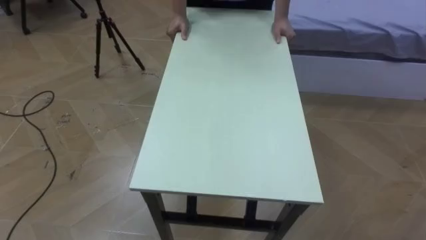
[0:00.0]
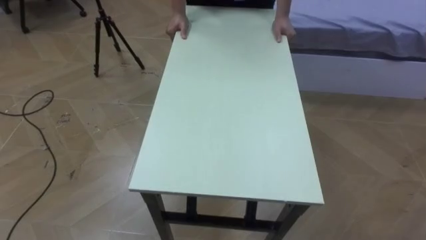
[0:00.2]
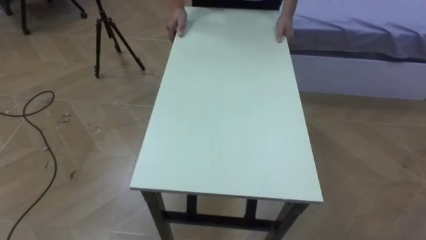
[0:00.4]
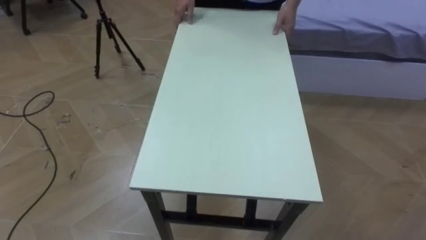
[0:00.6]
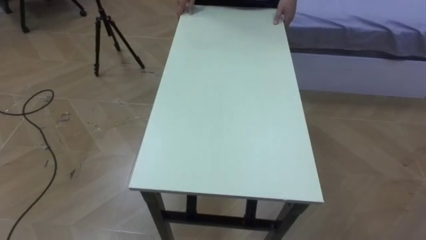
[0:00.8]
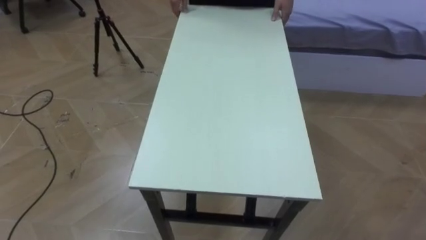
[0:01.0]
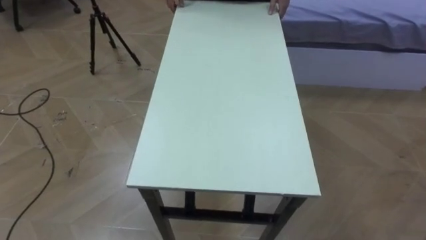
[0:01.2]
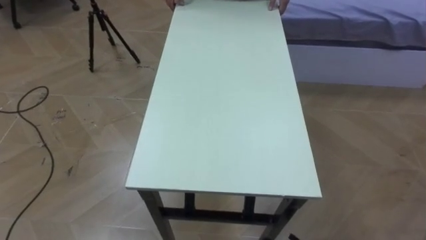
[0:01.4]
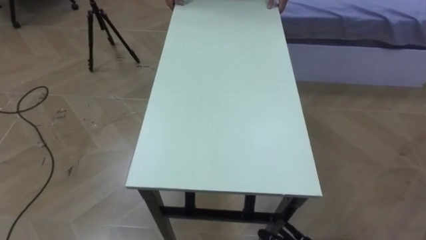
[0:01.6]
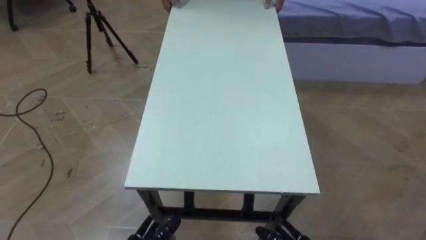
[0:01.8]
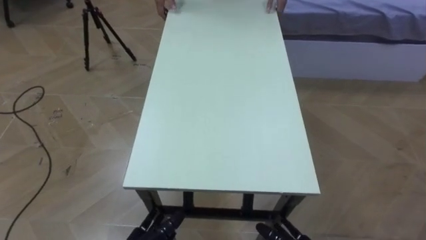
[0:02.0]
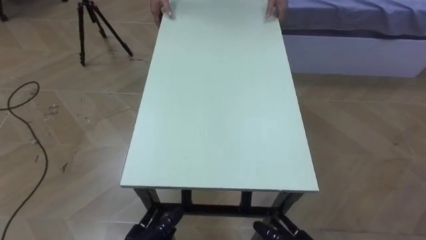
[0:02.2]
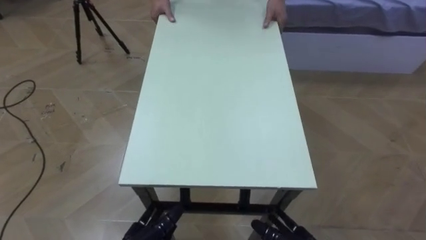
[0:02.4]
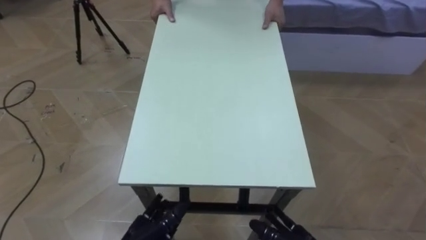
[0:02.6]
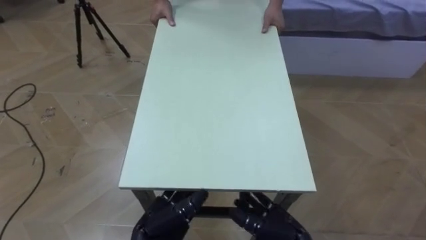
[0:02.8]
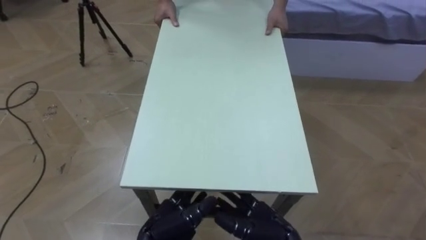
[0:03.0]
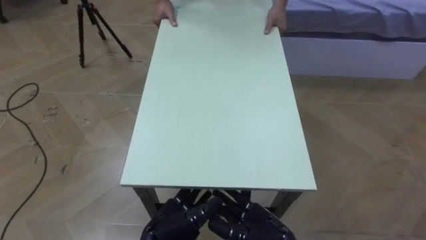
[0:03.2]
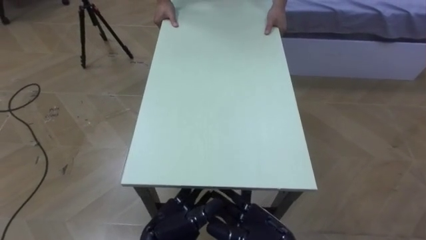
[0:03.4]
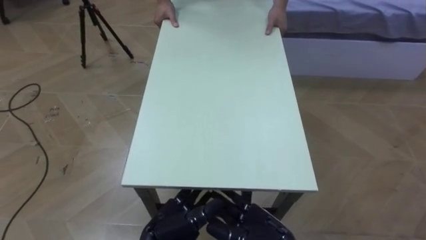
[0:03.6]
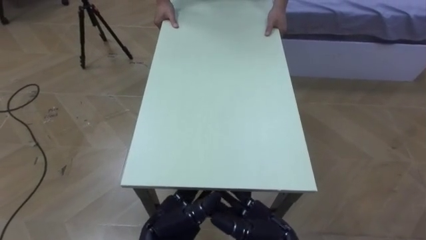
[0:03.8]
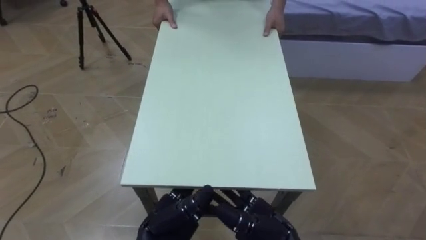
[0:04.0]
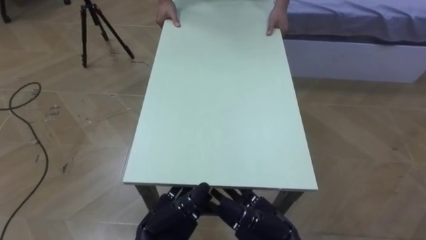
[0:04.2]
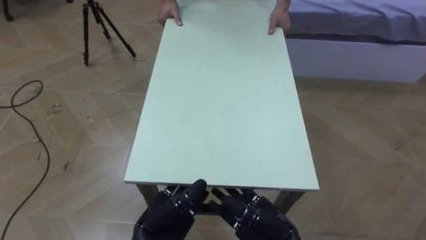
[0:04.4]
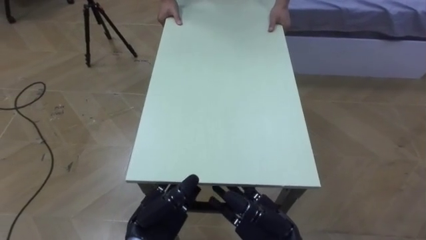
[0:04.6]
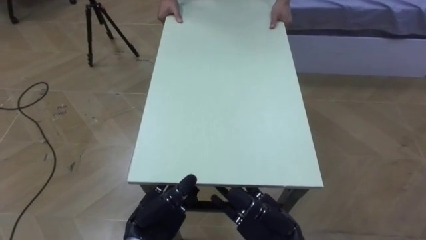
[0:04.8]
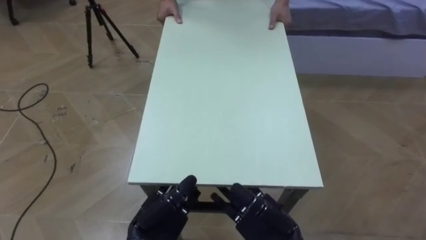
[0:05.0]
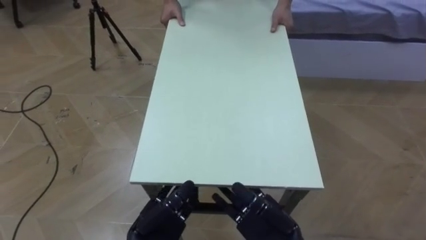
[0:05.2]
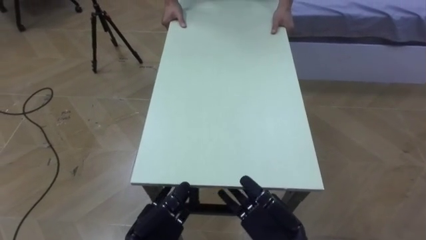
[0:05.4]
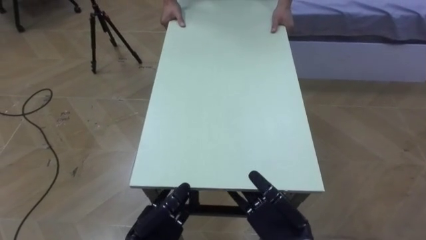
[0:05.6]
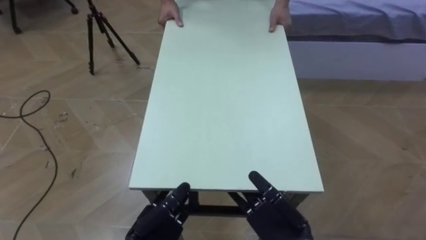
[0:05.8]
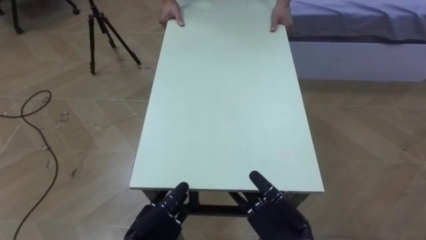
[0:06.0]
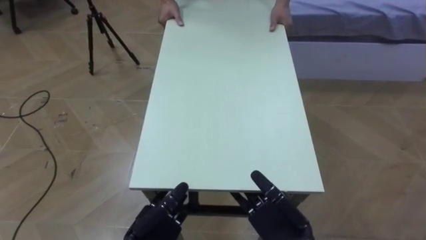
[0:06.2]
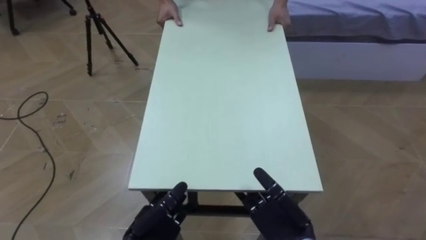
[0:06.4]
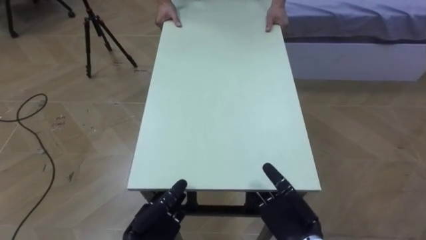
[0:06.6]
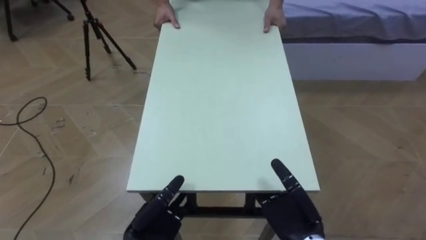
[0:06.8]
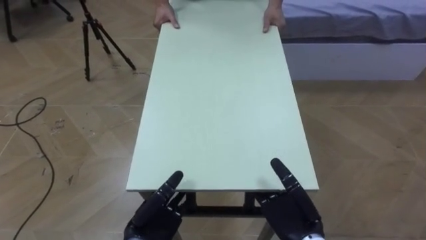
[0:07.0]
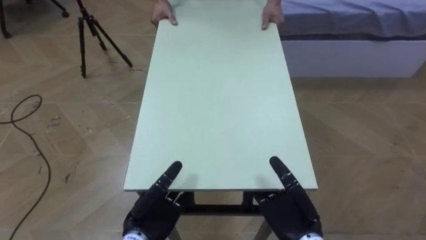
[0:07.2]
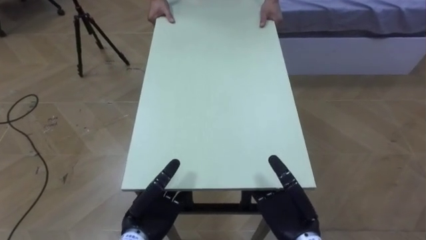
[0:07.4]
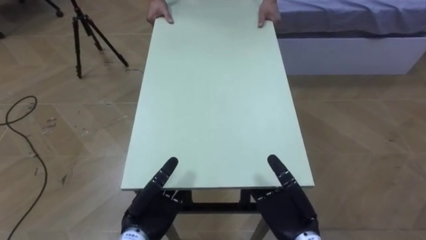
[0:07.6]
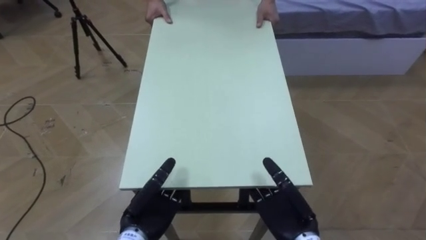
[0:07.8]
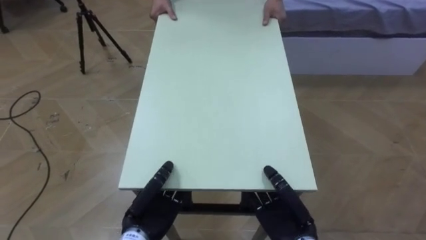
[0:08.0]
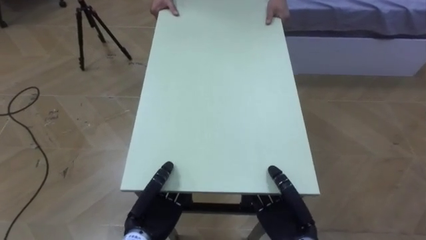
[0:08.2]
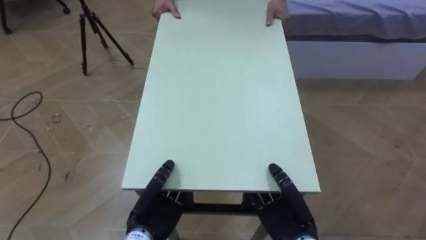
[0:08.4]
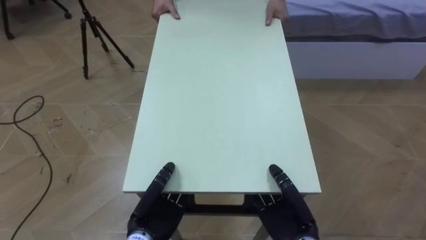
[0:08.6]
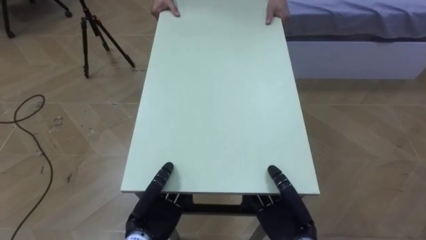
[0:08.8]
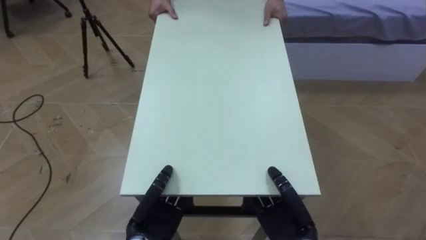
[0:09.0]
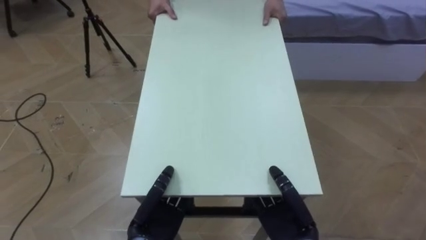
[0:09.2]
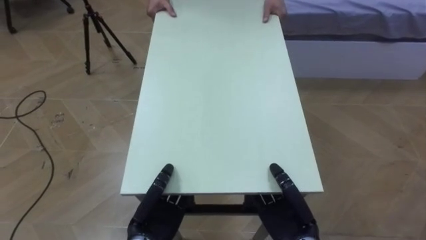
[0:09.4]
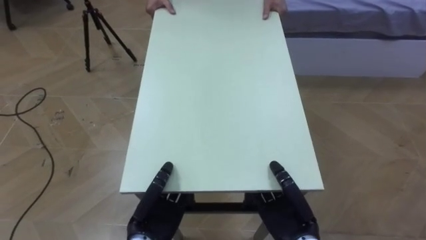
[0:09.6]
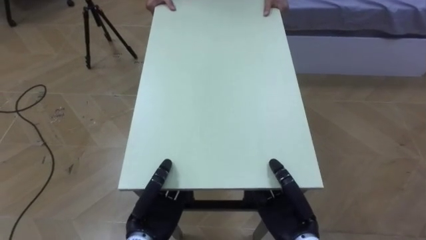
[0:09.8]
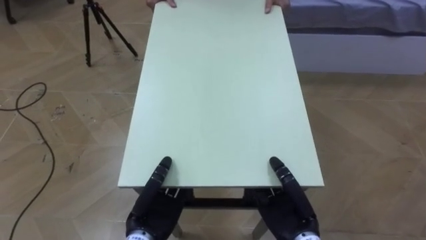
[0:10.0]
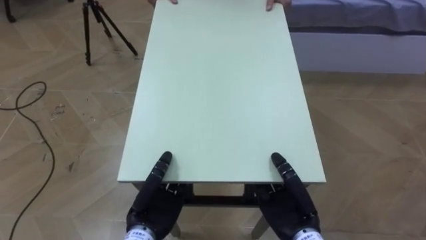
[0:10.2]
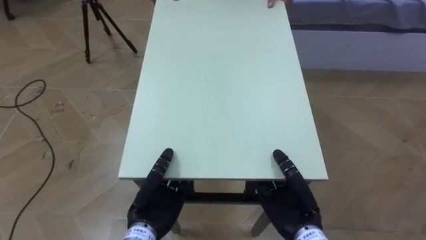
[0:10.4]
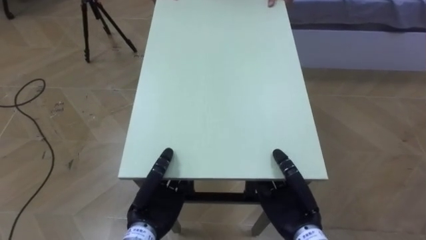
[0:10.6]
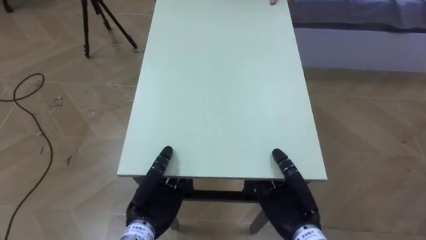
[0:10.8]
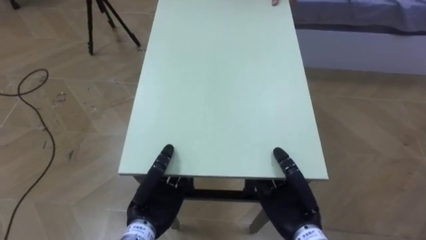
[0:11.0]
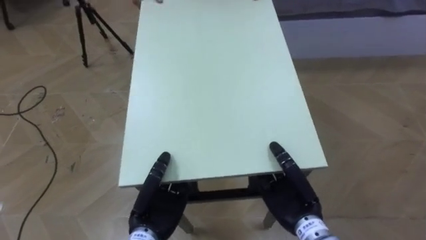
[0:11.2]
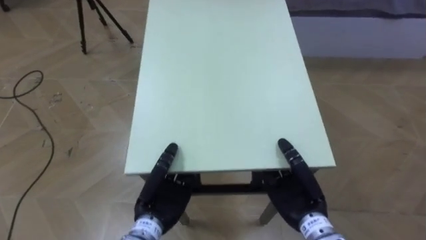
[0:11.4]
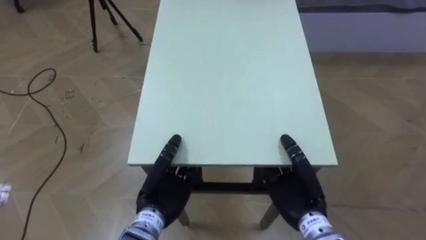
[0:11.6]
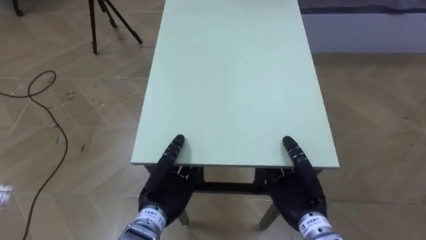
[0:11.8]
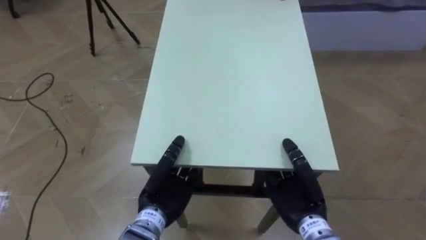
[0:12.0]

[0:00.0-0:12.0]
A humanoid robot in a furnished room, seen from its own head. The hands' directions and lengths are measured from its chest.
Task of the whole recording: Move the table to the back left with someone.
0:03.0 to 0:04.4: There are only small adjustments of the hands.
0:04.4 to 0:06.0: The hands make only small movements.
0:06.0 to 0:07.6: The hands make only small movements.
0:07.6 to 0:09.0: The left hand closes. The right hand closes up.

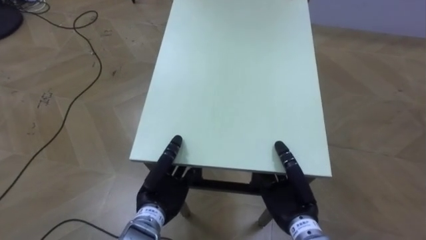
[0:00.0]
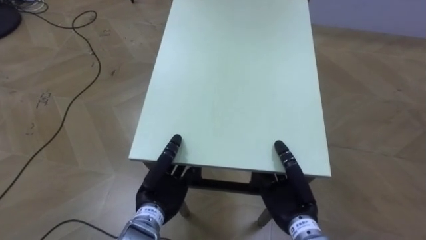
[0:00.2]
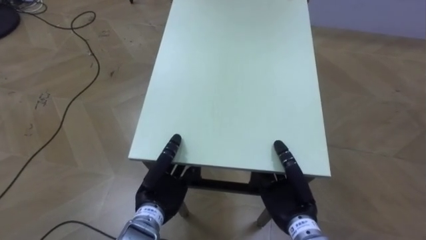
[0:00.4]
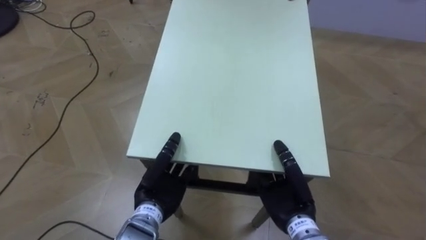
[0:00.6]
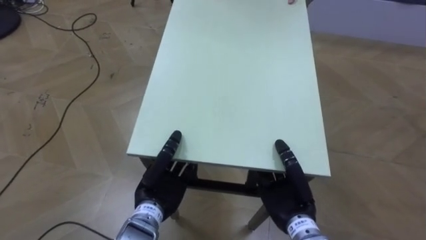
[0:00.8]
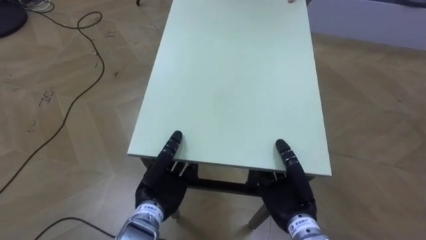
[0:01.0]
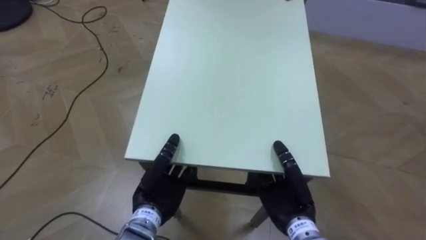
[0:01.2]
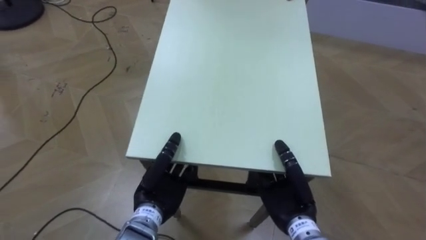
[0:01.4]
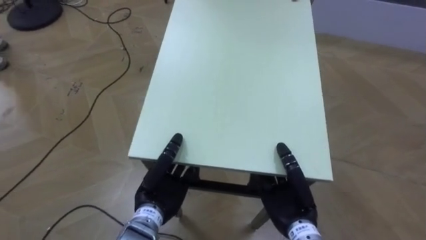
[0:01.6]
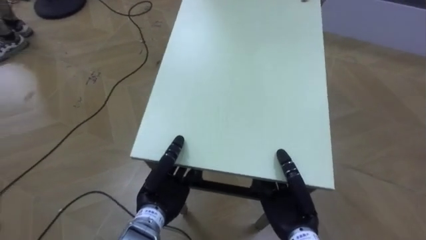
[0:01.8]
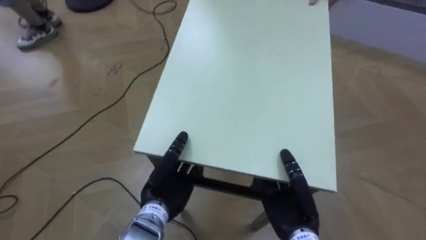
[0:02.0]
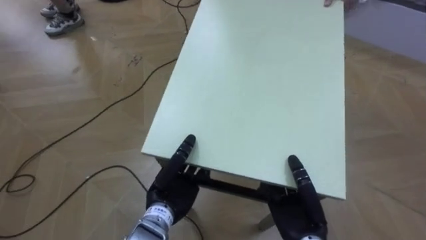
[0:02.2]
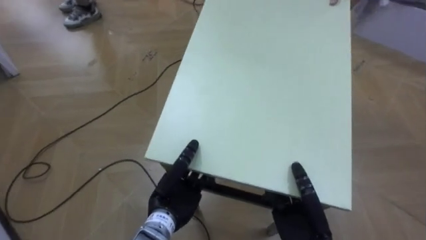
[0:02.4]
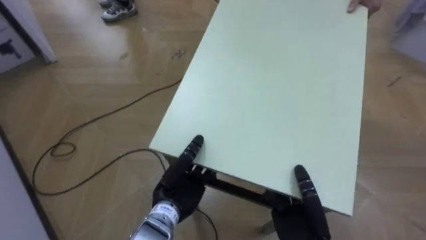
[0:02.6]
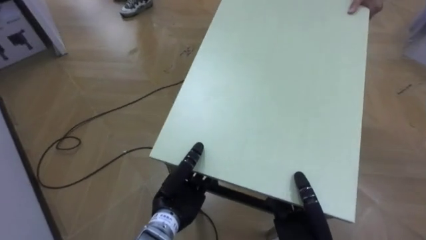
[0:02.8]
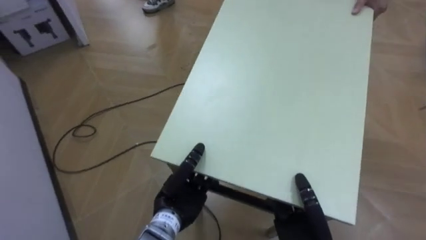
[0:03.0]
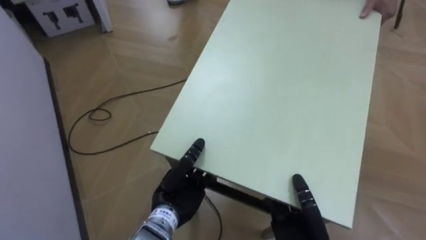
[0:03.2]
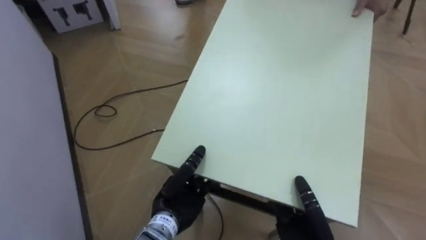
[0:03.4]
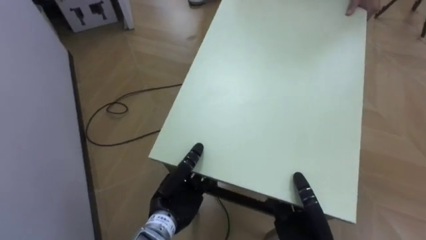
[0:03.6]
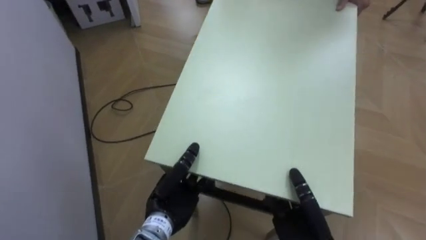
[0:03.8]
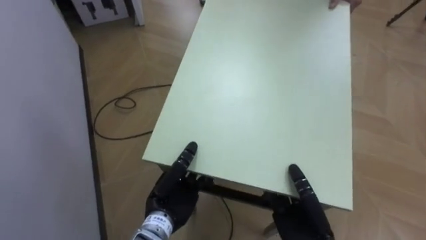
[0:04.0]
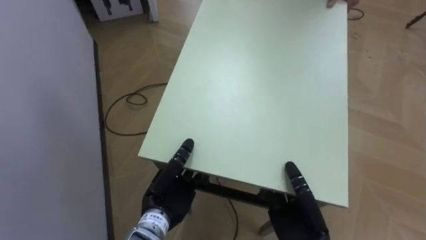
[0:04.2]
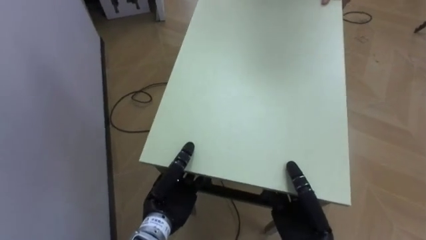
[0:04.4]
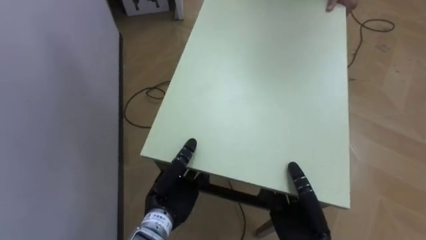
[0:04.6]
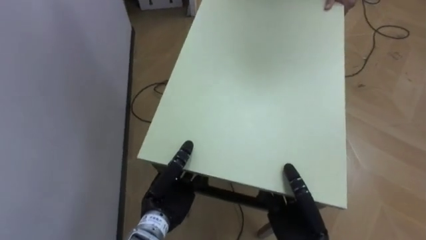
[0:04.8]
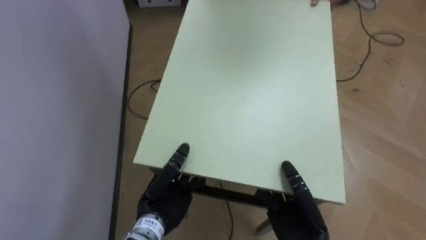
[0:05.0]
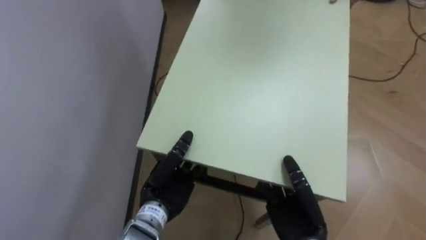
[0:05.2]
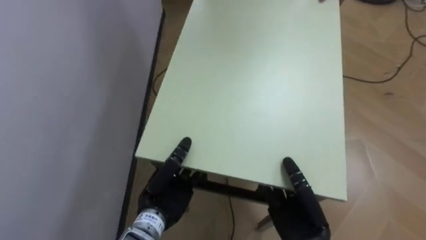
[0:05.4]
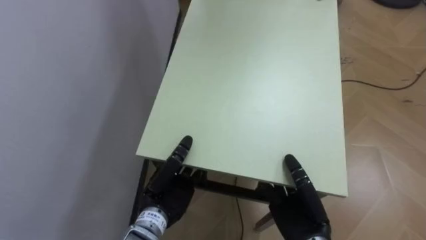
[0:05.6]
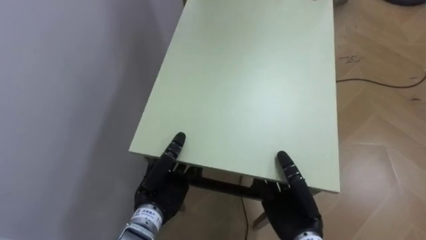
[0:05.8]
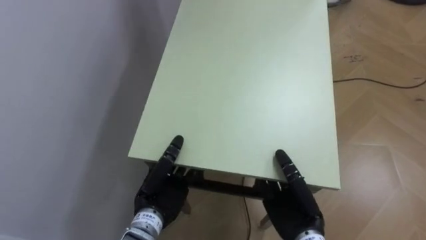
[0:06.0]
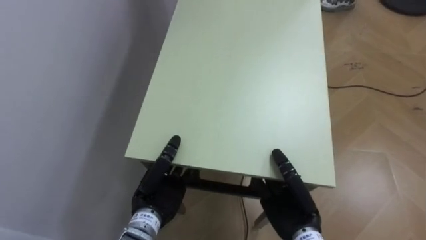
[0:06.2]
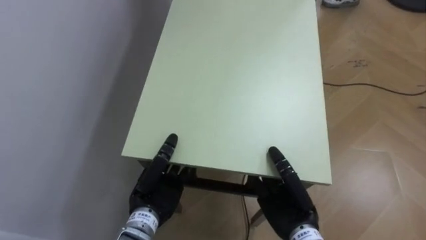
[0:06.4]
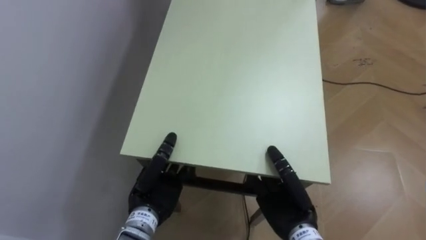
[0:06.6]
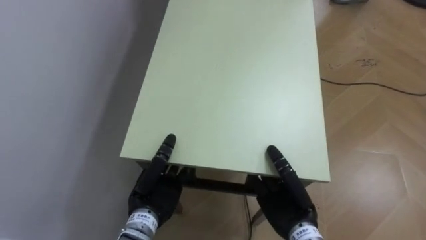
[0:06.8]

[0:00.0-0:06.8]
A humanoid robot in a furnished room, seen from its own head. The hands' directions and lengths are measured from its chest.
Task of the whole recording: Move the table to the back left with someone.
0:01.4 to 0:02.8: The robot rotates roughly 40 degrees to its left. The right hand goes roughly 5 cm backward.
0:04.0 to 0:05.4: The robot turns to its left by about 25 degrees.
